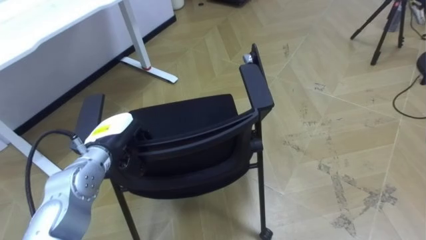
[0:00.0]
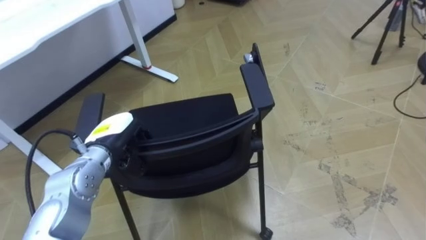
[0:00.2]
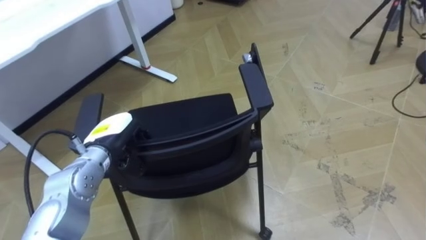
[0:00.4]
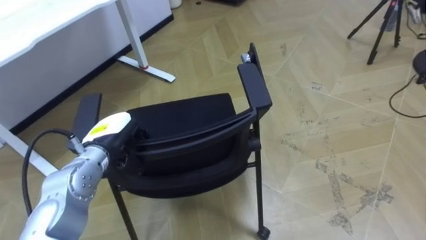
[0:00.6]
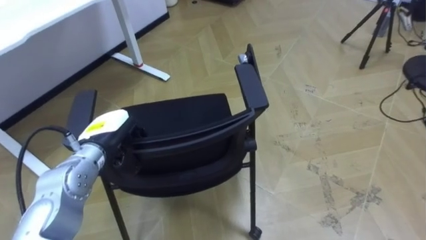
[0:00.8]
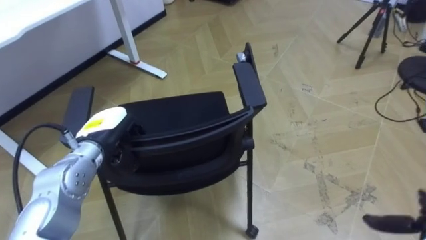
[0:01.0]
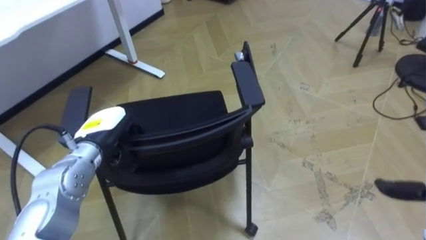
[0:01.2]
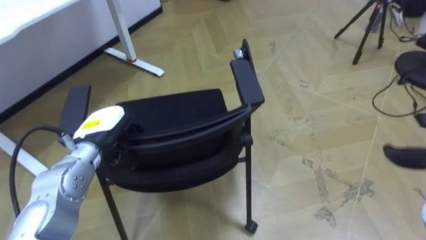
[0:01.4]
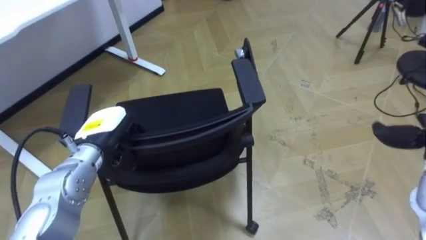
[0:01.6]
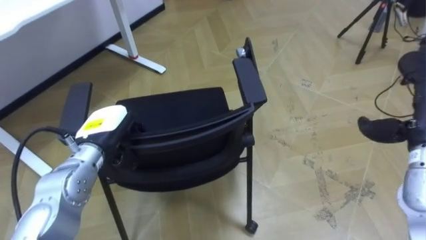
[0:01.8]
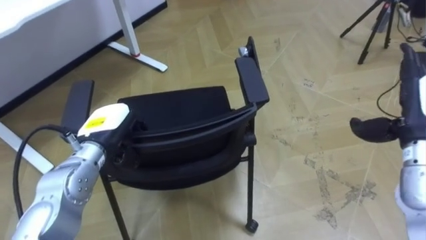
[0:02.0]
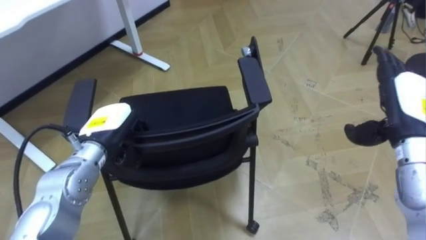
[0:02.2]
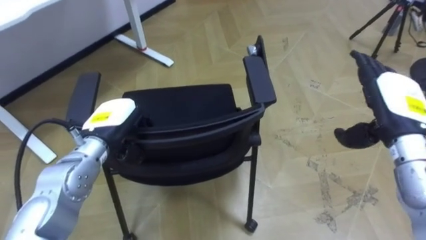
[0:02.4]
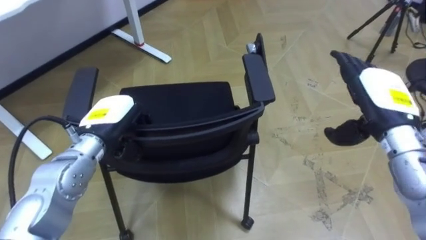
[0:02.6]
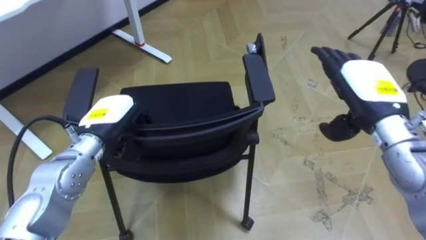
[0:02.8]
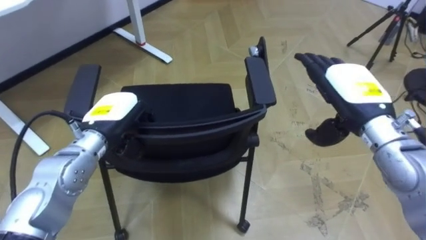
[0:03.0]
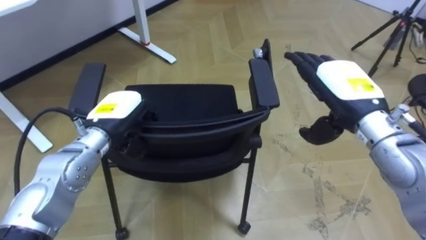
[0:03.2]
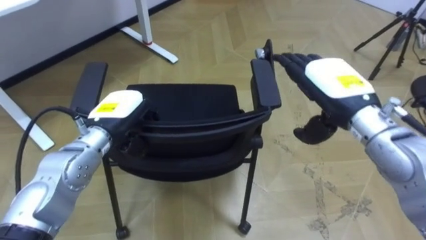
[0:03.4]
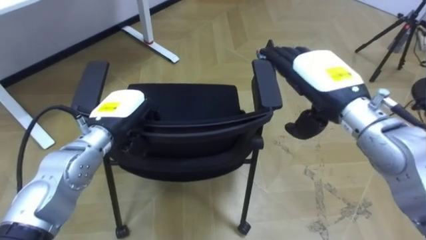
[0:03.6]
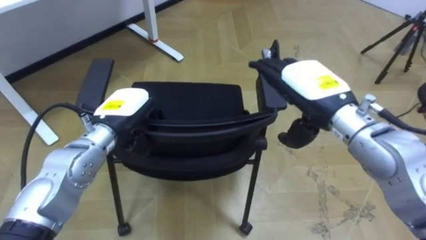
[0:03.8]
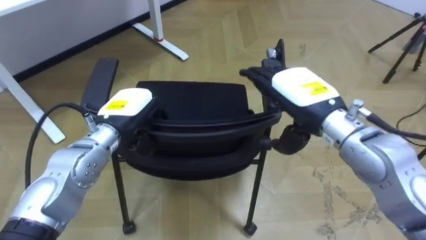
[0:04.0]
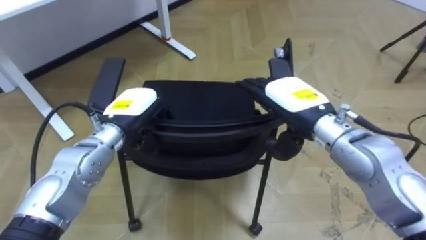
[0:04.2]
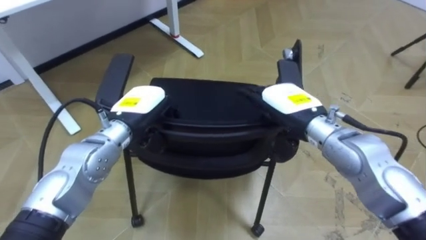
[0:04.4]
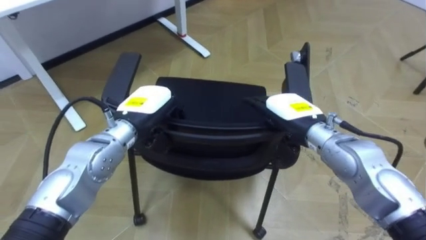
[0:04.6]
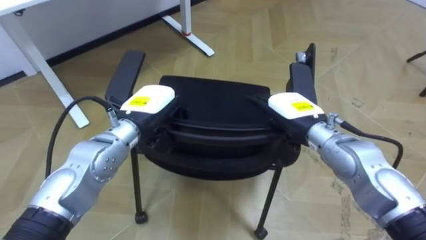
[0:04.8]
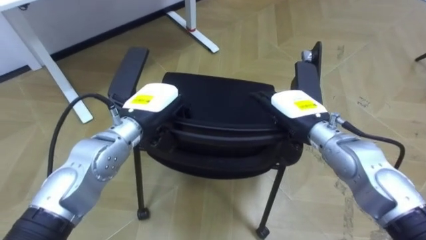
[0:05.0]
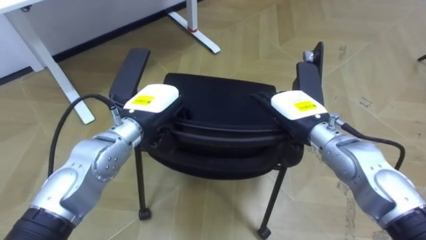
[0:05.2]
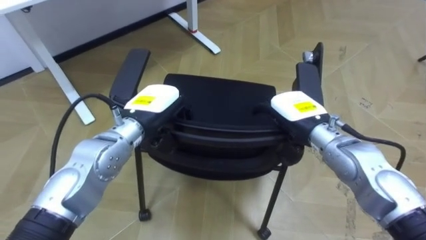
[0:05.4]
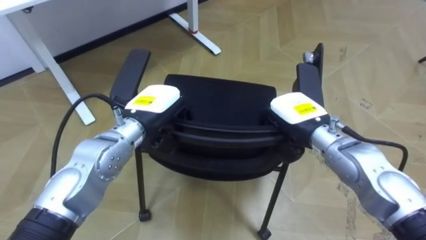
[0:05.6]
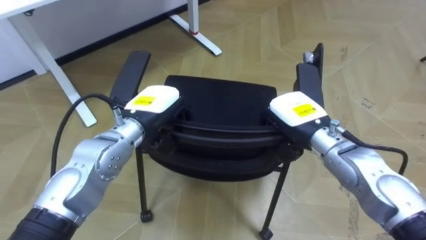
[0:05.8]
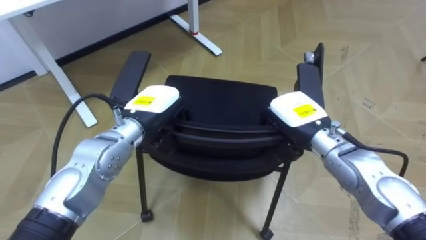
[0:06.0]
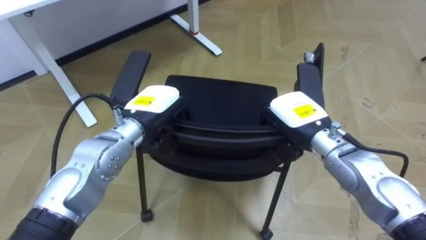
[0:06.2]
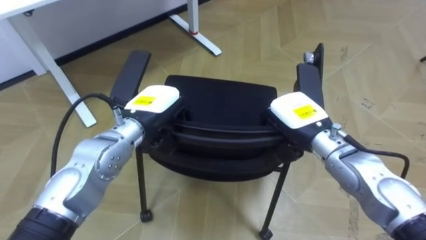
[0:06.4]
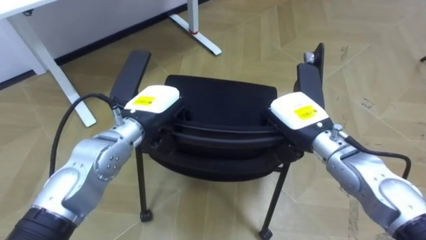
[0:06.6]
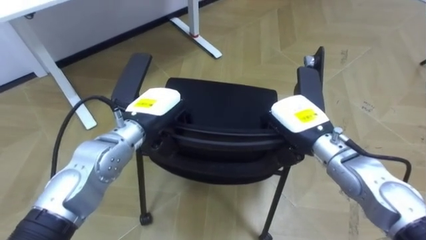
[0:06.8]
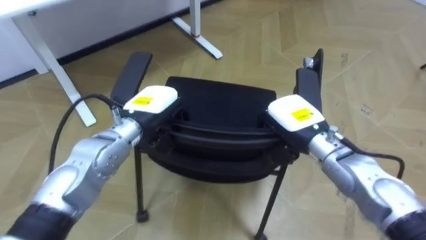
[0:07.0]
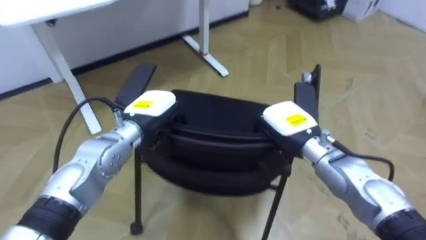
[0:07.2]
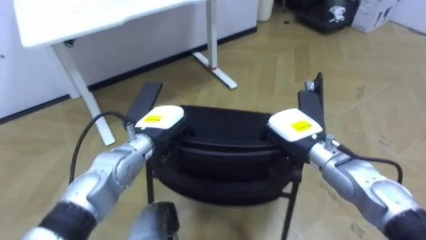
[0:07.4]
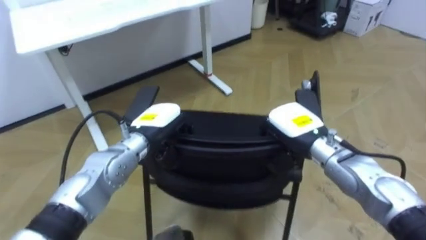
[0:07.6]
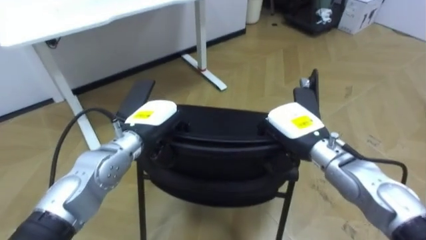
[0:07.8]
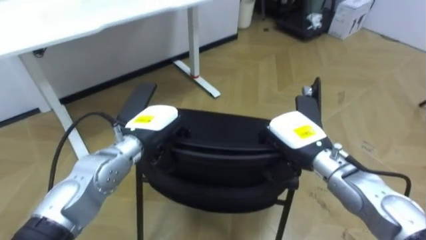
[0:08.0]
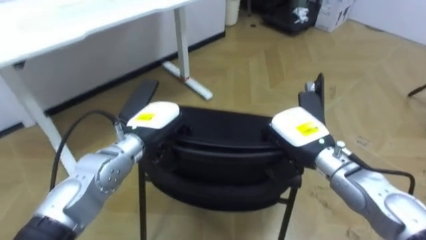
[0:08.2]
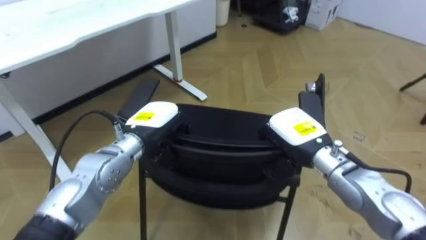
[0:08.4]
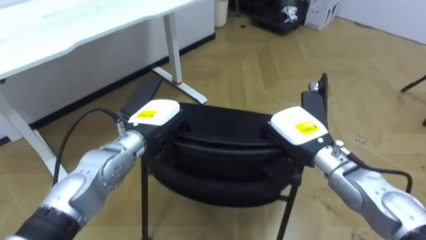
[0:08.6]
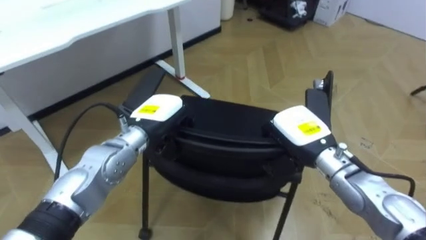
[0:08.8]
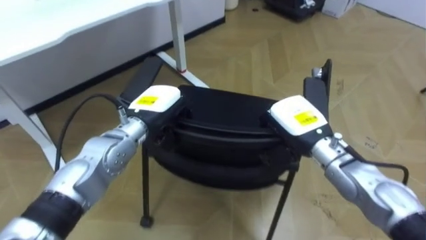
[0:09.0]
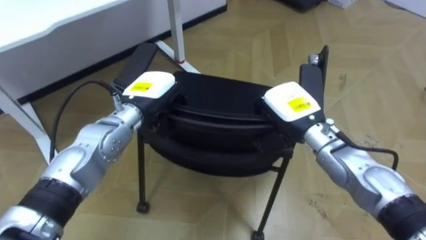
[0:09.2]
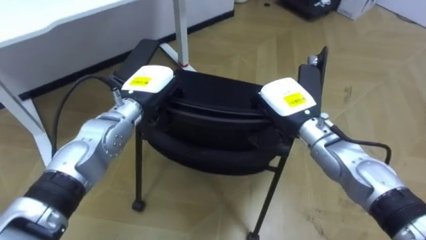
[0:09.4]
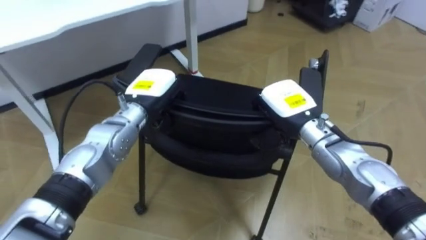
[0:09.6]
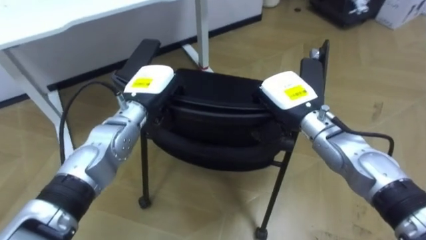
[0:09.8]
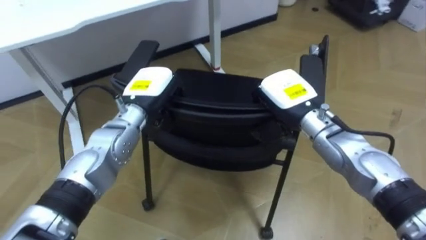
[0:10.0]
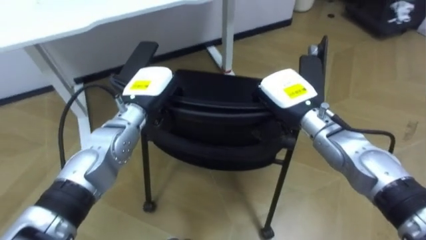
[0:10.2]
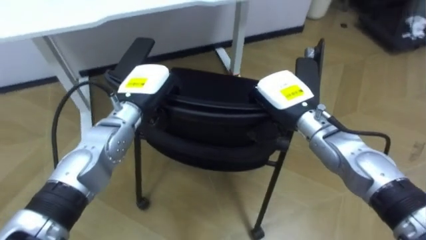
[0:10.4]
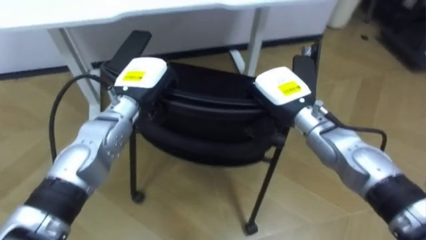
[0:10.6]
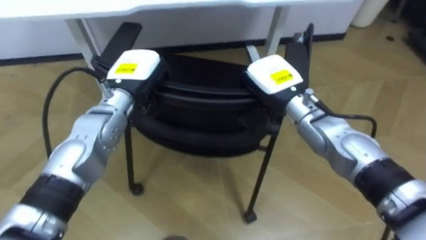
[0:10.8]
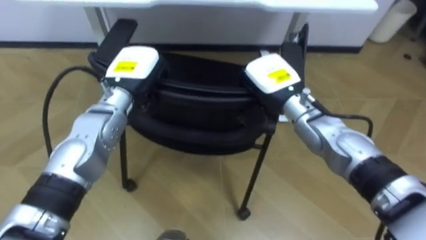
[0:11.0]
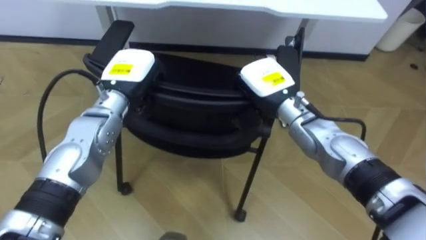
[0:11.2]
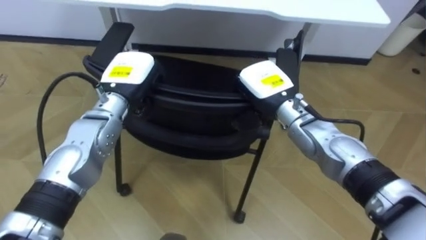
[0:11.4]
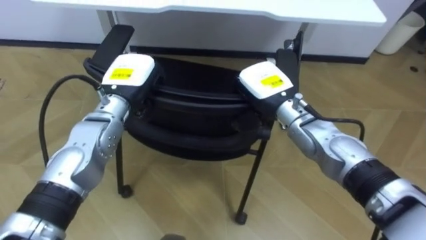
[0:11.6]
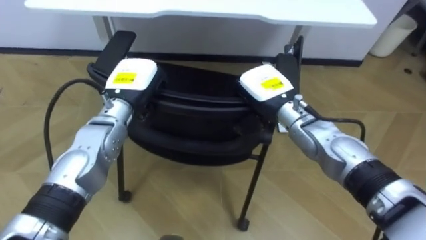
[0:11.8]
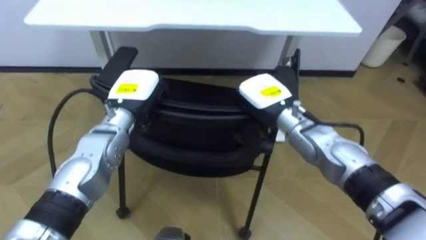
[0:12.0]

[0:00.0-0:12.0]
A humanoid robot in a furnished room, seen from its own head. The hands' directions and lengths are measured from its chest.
Task of the whole recording: Push the chair under the table.
0:03.0 to 0:04.4: The left hand moves roughly 5 cm; the right hand moves to the left, approximately 10 cm.
0:04.4 to 0:06.0: The right hand closes up.
0:06.0 to 0:07.6: The left hand is displaced downward by roughly 5 cm.
0:09.0 to 0:10.4: The right hand ends up about 5 cm from where it was.

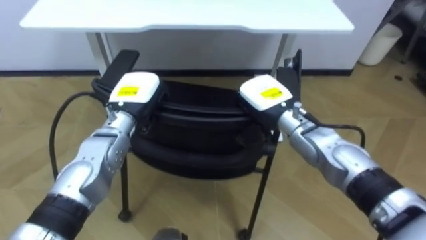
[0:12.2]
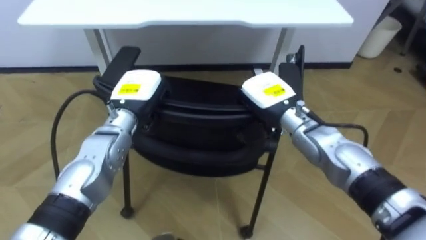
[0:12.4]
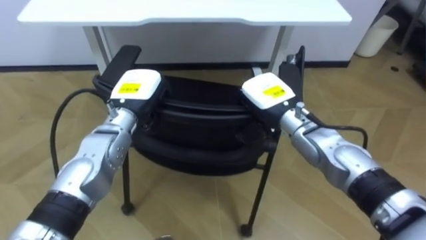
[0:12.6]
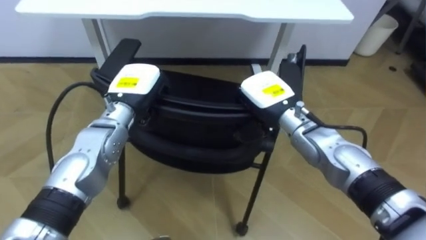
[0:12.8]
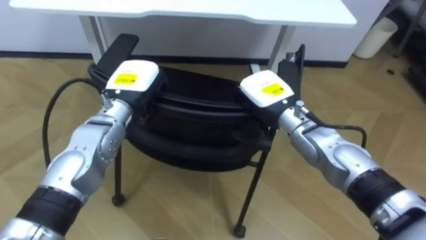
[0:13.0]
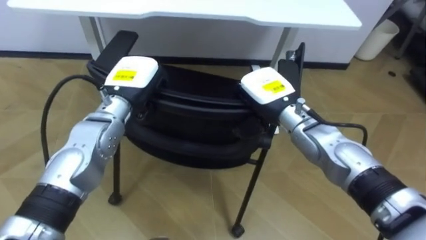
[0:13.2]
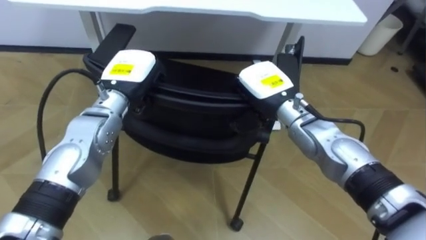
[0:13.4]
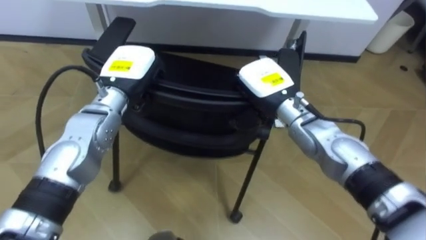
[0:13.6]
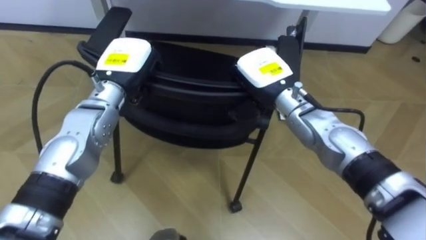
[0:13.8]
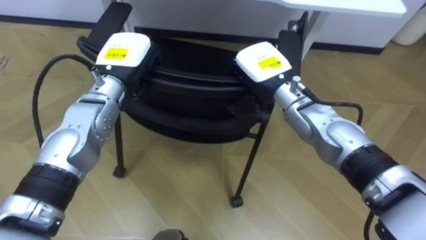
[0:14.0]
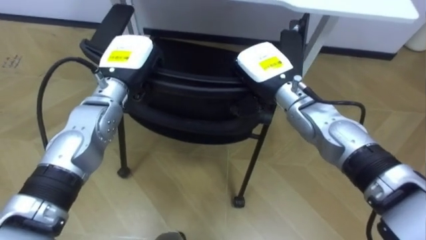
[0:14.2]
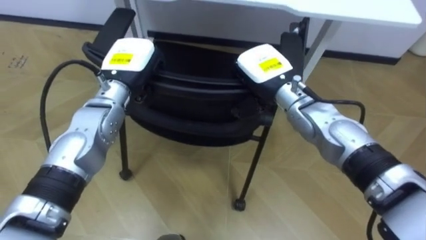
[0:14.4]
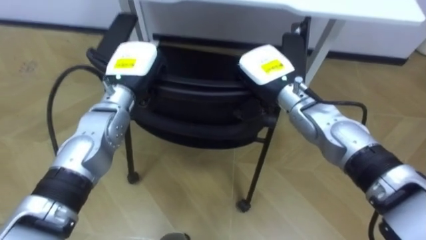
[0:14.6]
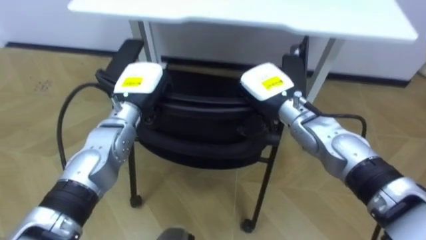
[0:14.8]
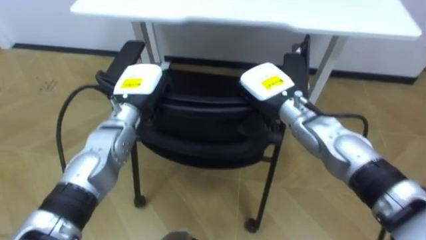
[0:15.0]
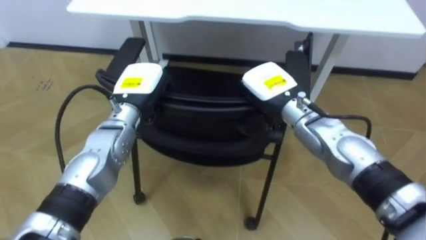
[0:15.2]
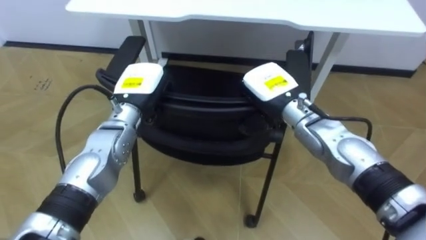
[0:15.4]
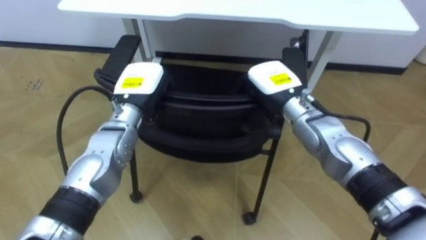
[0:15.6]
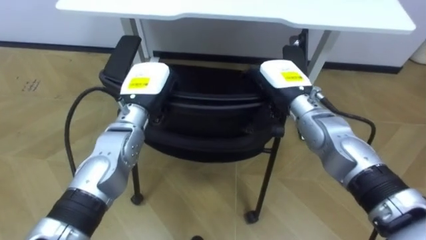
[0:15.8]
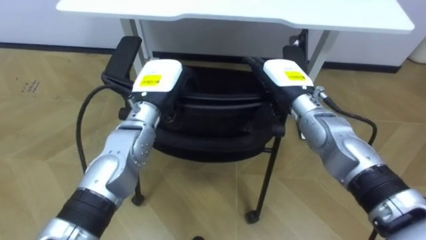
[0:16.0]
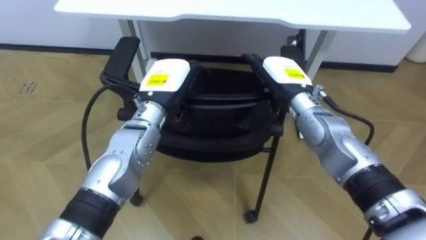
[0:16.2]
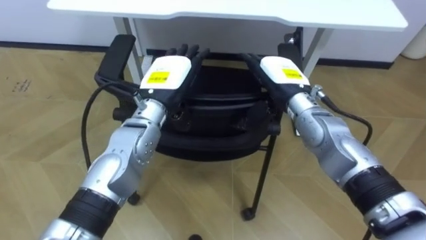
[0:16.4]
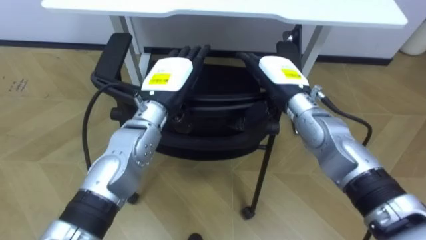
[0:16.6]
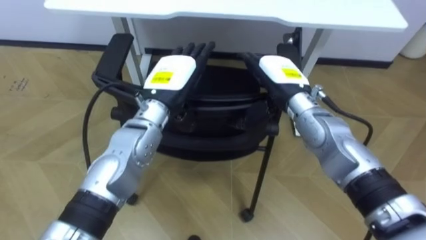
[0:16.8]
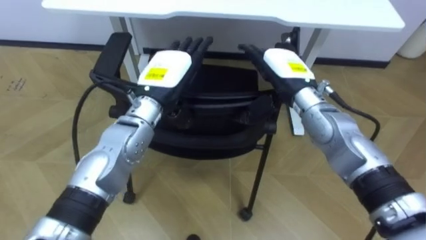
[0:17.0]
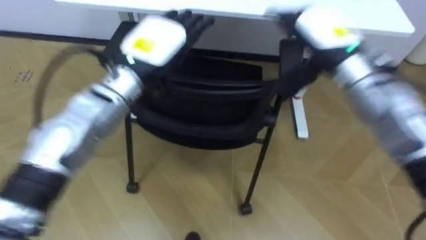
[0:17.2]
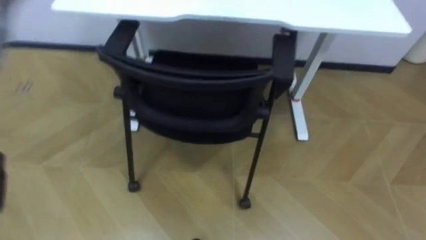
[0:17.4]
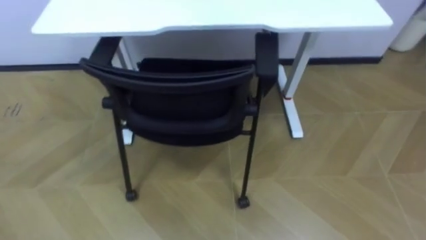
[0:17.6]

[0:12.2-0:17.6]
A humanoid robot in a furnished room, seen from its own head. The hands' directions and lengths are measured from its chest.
Task of the whole recording: Push the chair under the table.
0:15.0 to 0:16.2: The right hand opens. Meanwhile the left hand is displaced to the right by approximately 5 cm, and opens its fingers.
